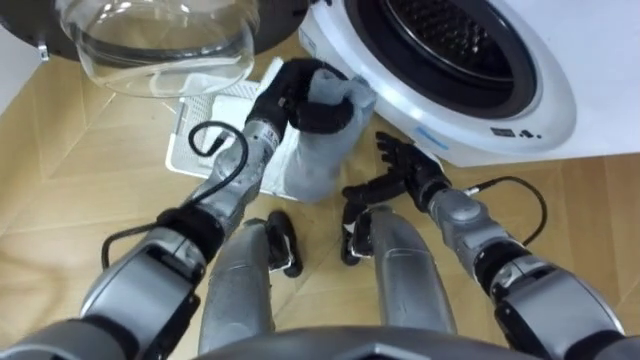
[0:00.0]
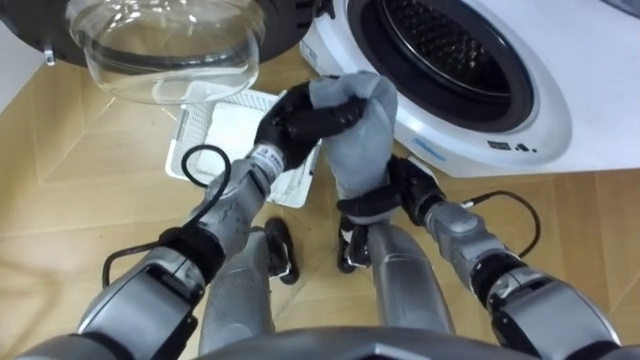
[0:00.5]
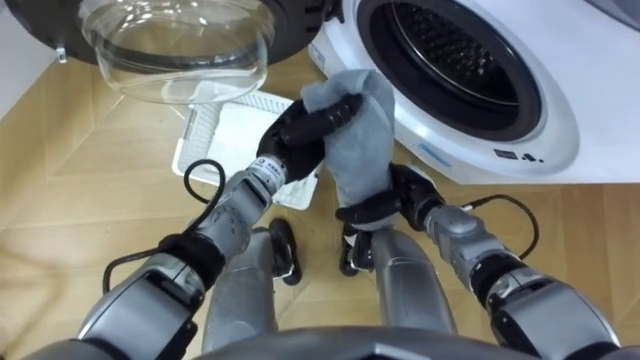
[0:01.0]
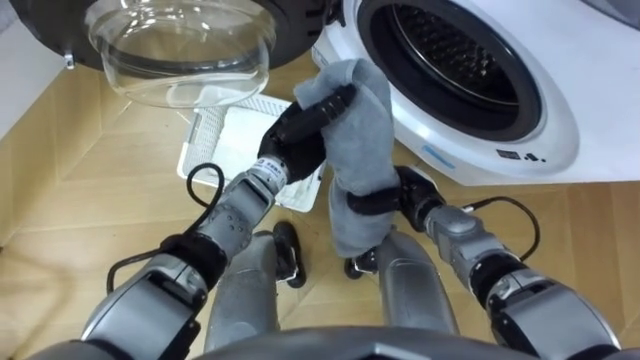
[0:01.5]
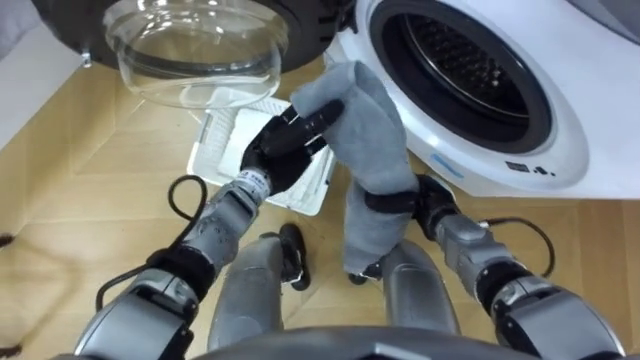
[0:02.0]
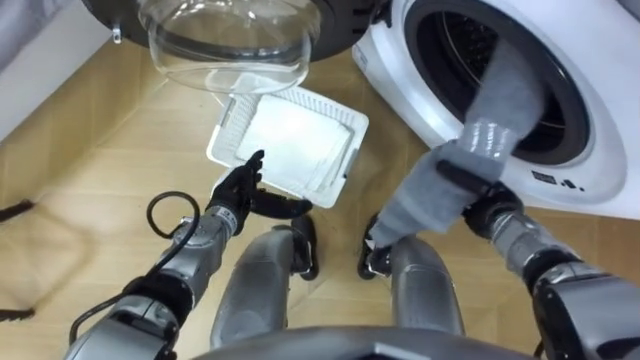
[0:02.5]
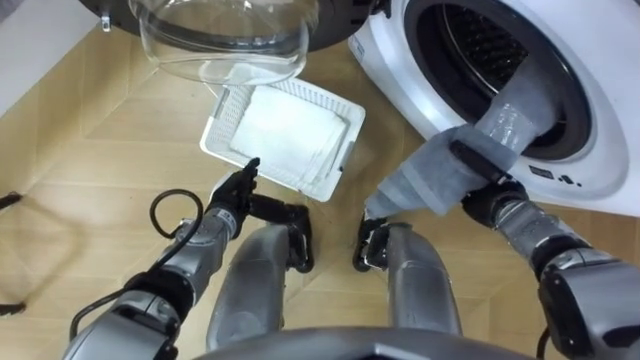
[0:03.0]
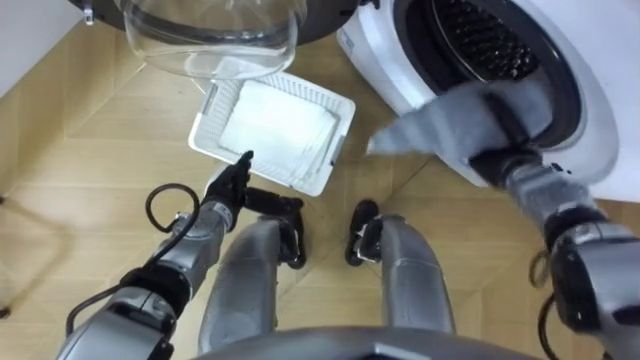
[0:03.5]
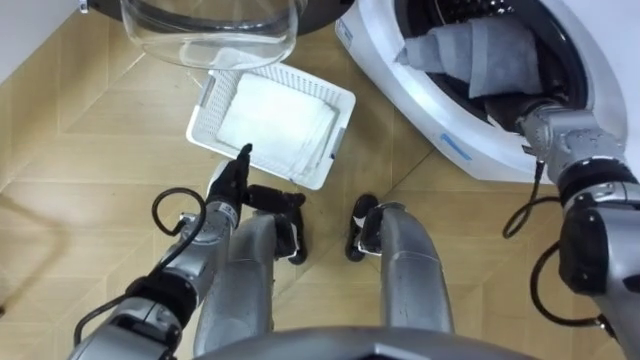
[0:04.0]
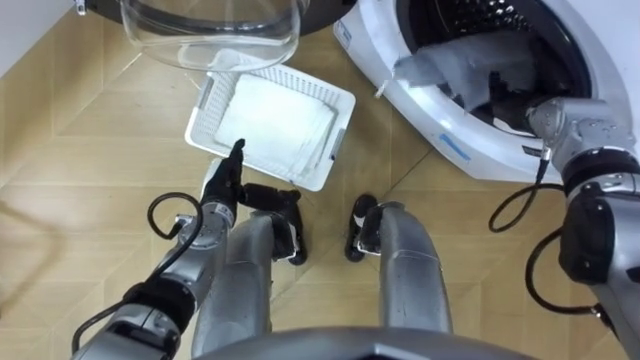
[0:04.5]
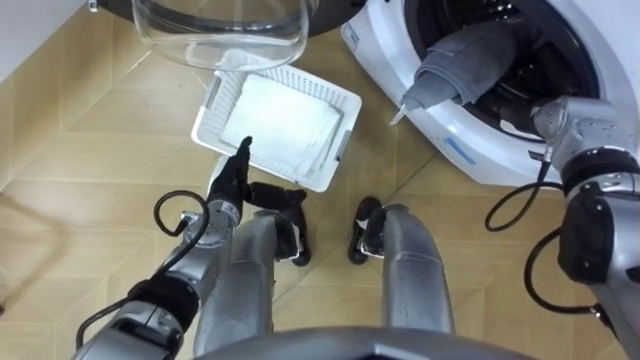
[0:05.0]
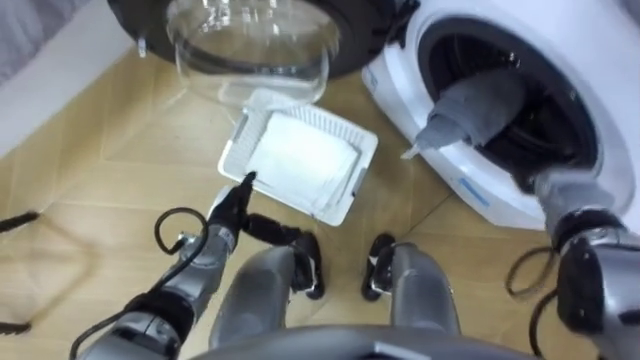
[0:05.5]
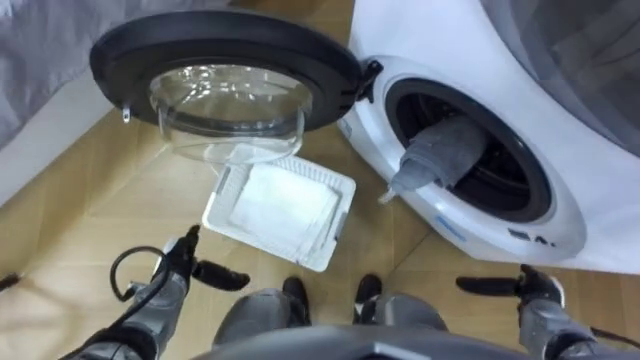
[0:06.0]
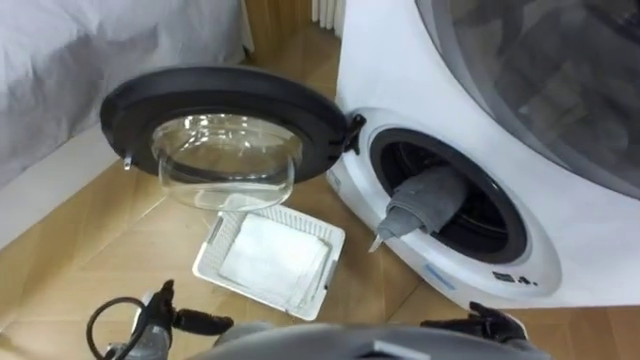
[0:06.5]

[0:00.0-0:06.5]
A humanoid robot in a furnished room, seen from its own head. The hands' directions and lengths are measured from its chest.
Task of the whole recording: Take the towel from the basket and put it into the washing machine.
0:00.0 to 0:02.0: The left hand ends up about 5 cm from where it was, while the right hand ends up approximately 5 cm from where it was, and closes.
0:02.0 to 0:04.5: The right hand travels to the right, upward and forward by about 20 cm, and opens. Meanwhile the left hand travels to the left and downward by roughly 10 cm, and opens up.
0:04.5 to 0:06.5: The left hand heads backward, to the left and downward, covering approximately 20 cm; the right hand moves backward and downward, some 35 cm.

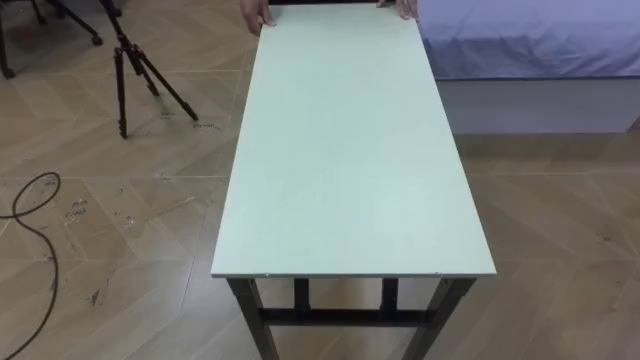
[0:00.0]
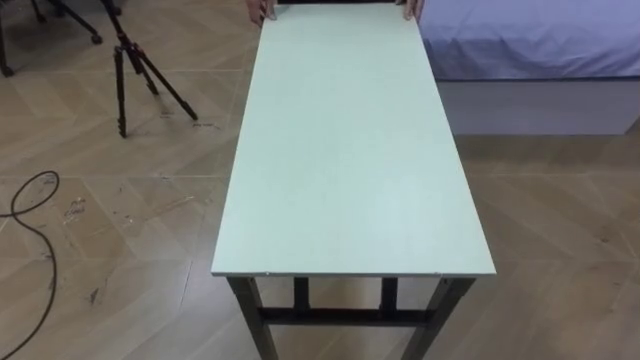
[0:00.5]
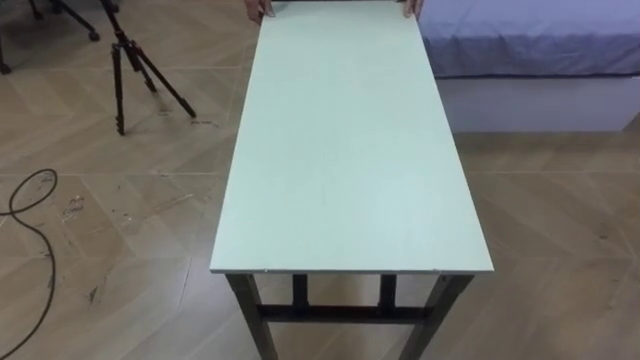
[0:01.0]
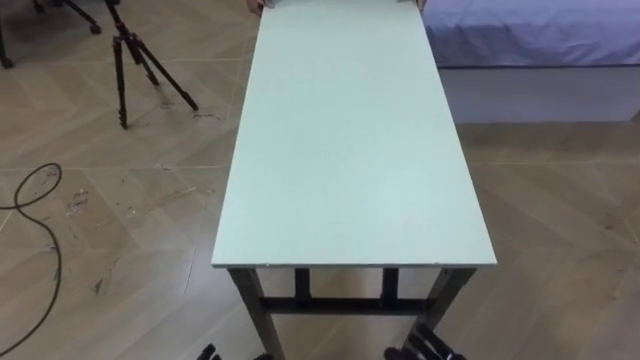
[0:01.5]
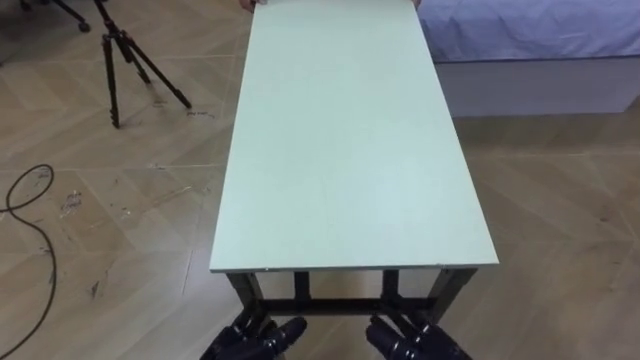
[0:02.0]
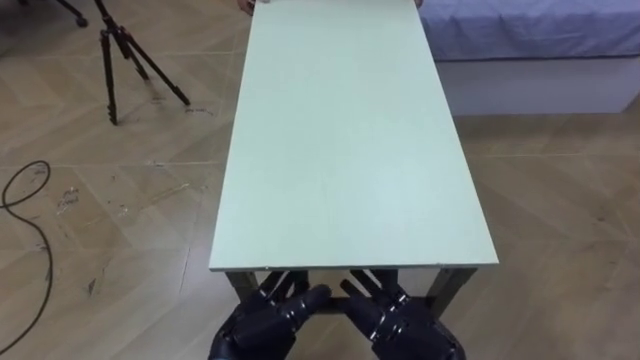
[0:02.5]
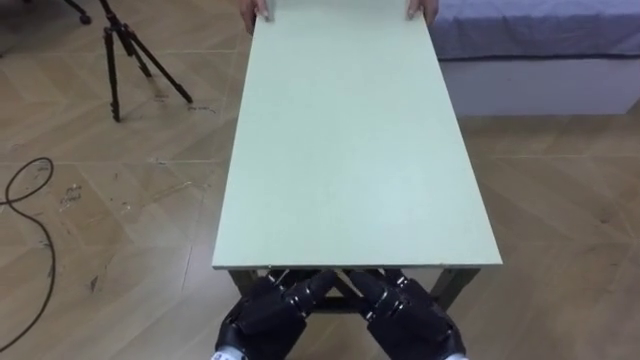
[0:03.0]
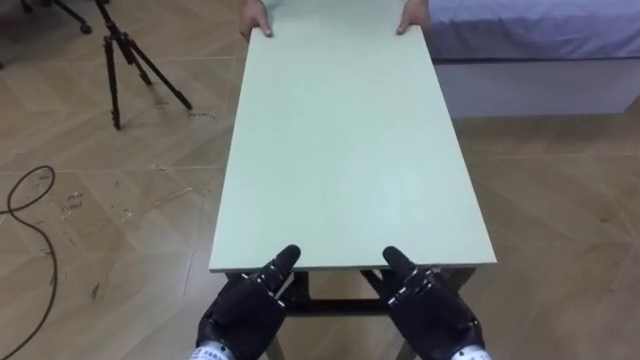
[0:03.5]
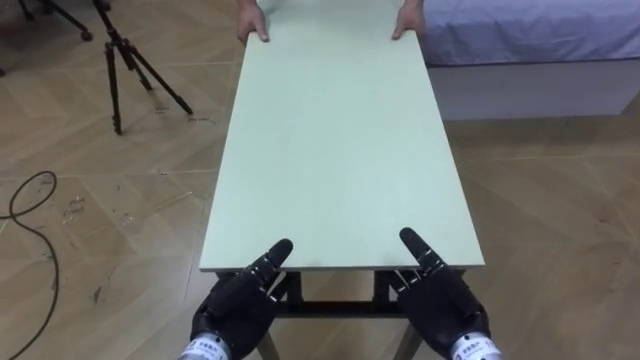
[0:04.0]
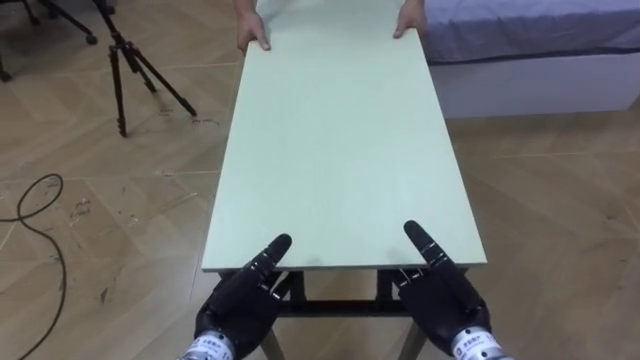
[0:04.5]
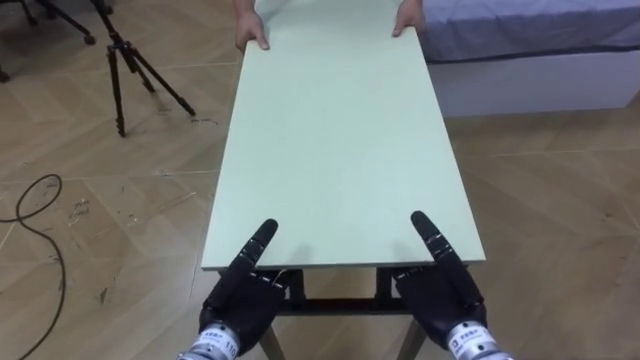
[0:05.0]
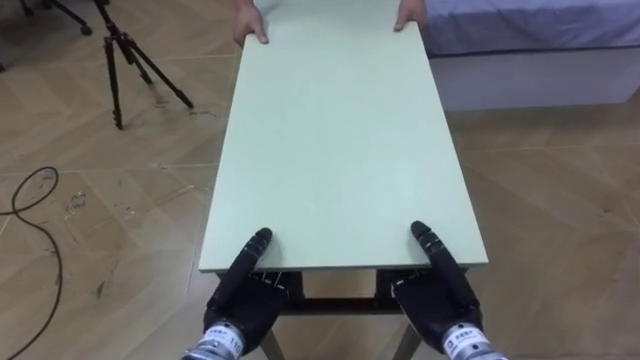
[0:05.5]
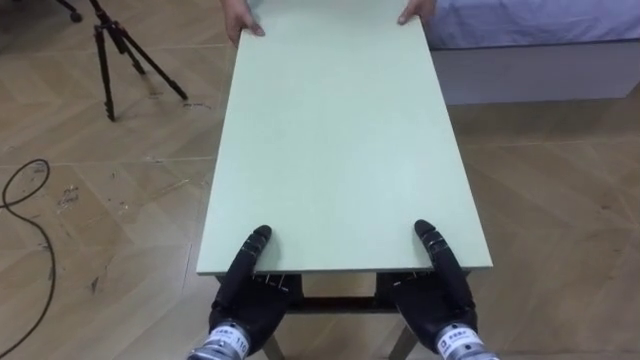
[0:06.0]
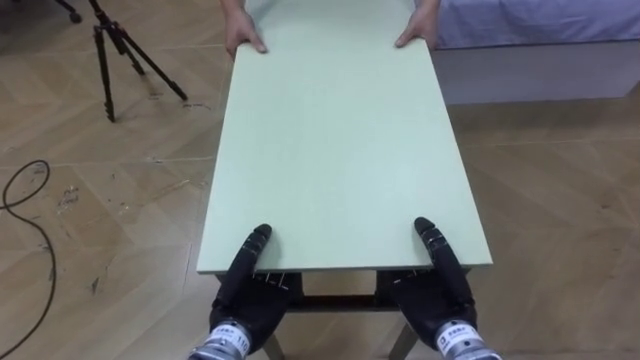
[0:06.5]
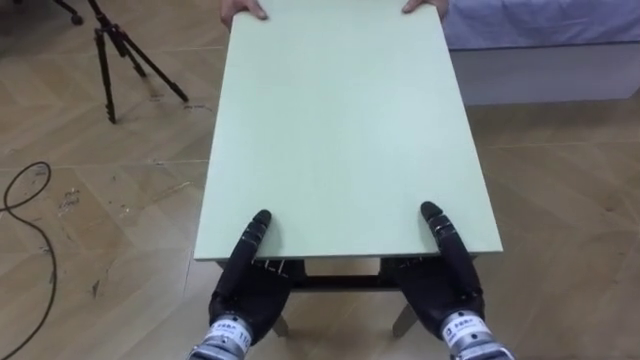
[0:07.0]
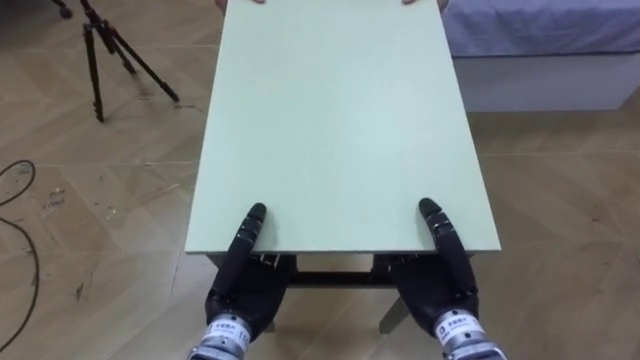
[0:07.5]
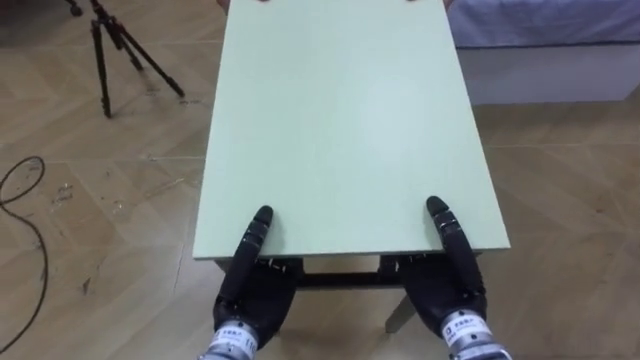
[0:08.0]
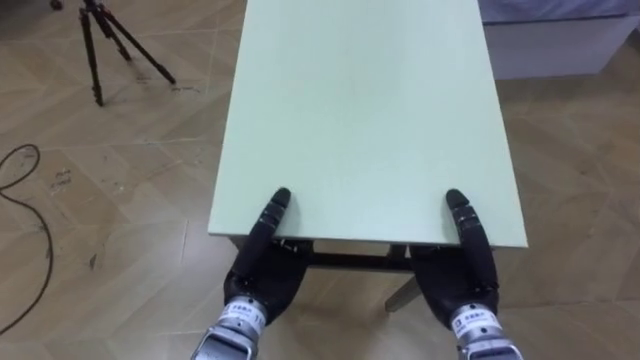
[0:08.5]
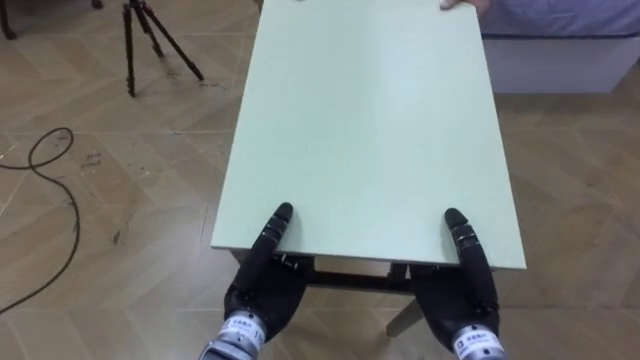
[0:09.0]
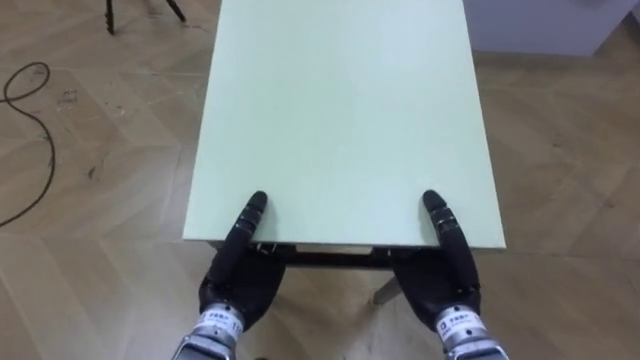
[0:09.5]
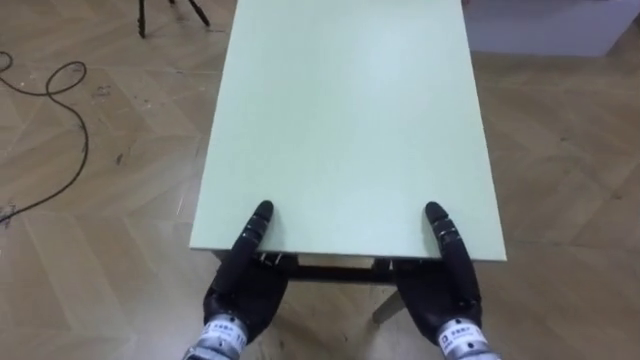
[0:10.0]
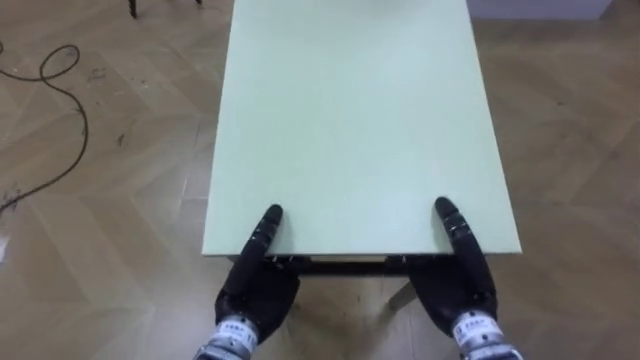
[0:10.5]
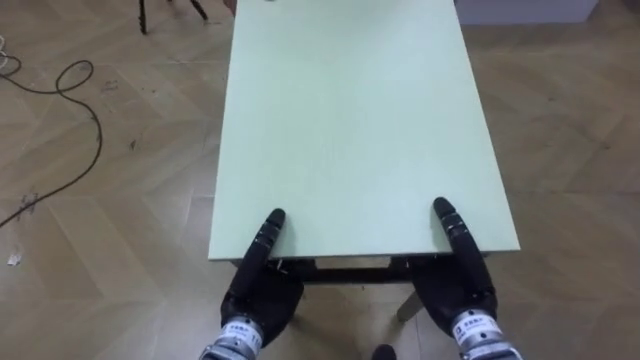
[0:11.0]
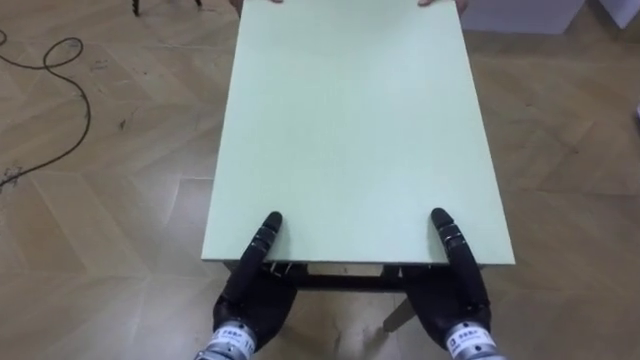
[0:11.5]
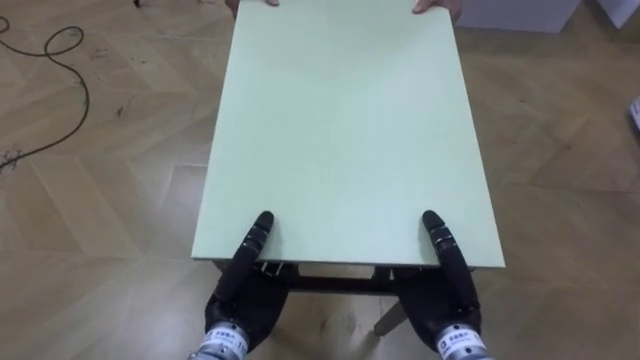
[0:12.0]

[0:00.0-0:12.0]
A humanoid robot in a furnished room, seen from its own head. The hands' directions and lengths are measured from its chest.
Task of the whole recording: Move the table to the back left with someone.
0:04.0 to 0:06.0: The right hand closes, while the left hand closes up.

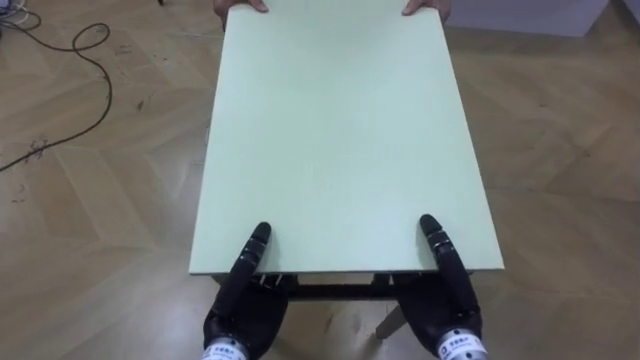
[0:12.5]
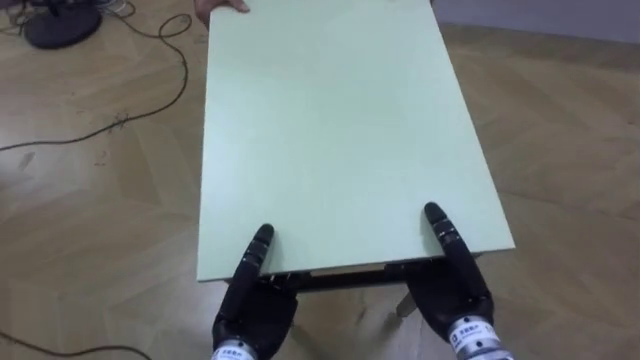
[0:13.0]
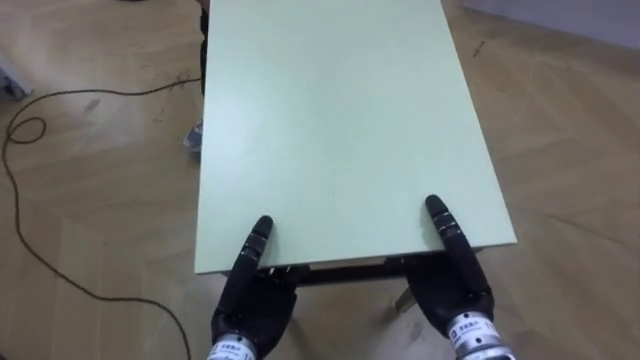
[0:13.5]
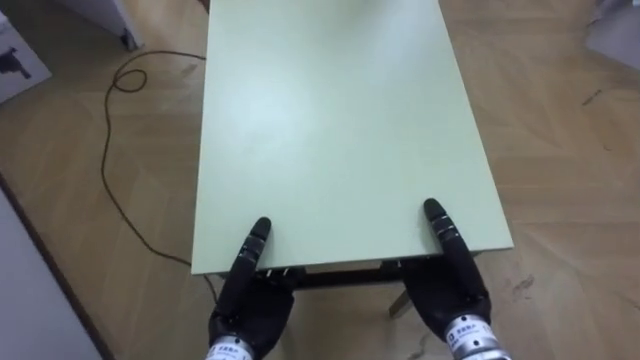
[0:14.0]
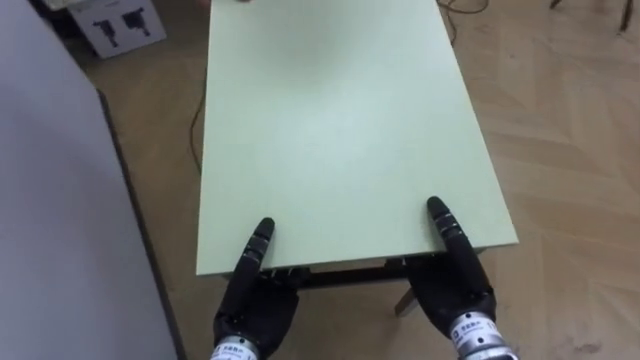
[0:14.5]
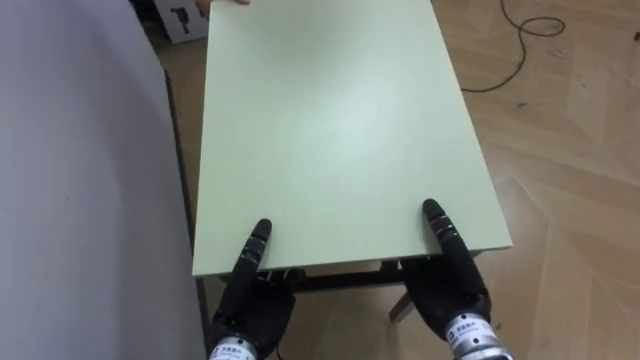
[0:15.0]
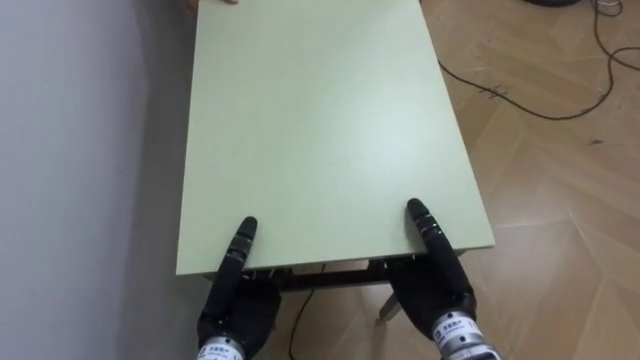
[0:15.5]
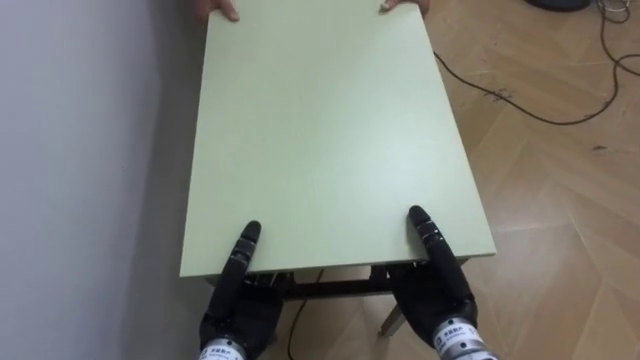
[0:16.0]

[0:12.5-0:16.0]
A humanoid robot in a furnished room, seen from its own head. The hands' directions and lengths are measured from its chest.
Task of the whole recording: Move the table to the back left with someone.
0:12.5 to 0:14.5: The robot faces approximately 55 degrees further to its left.
0:14.5 to 0:16.0: The robot faces about 25 degrees further to its left.
